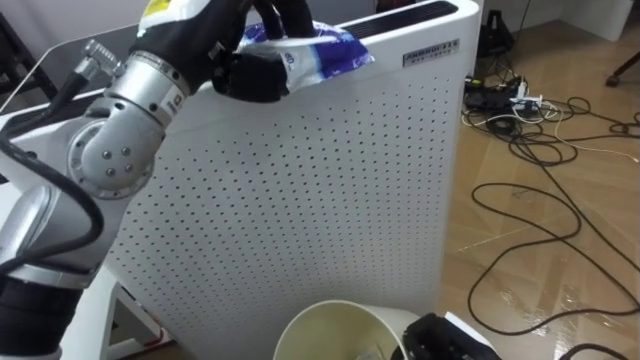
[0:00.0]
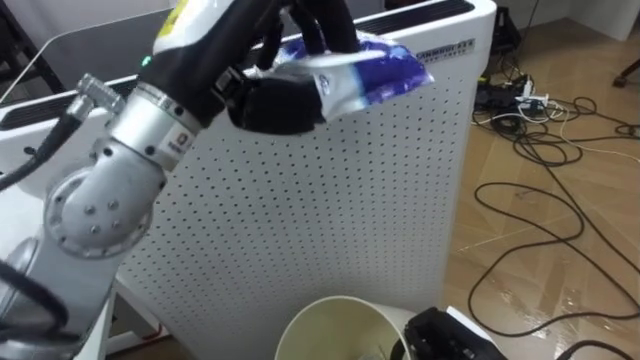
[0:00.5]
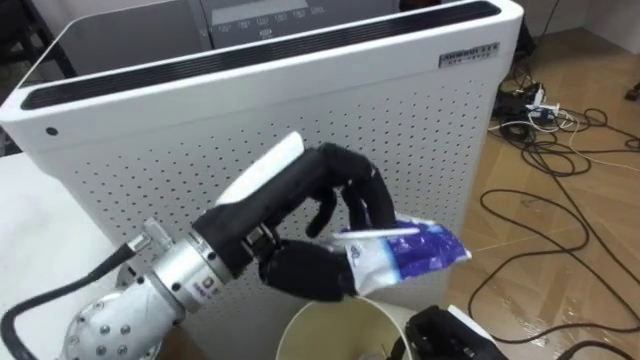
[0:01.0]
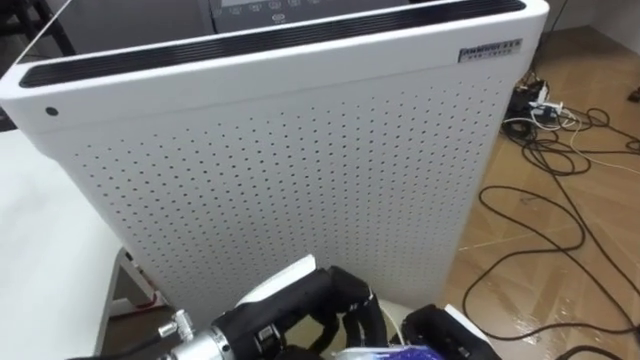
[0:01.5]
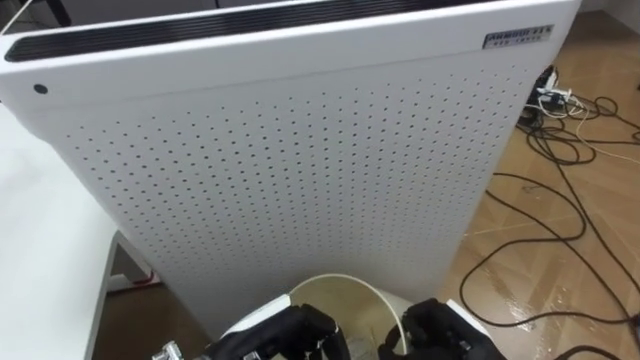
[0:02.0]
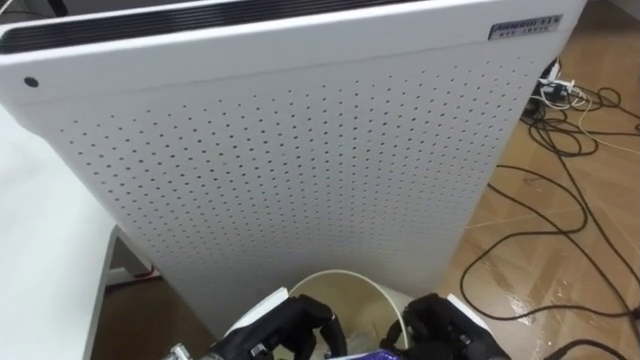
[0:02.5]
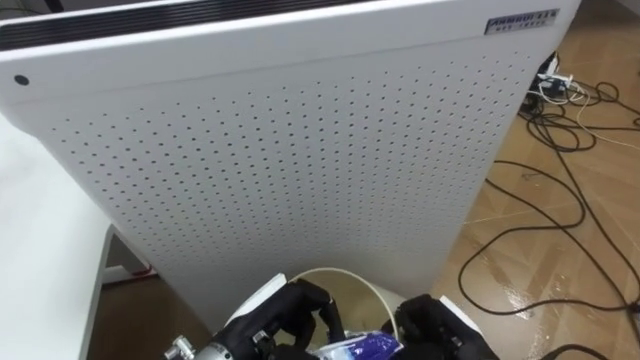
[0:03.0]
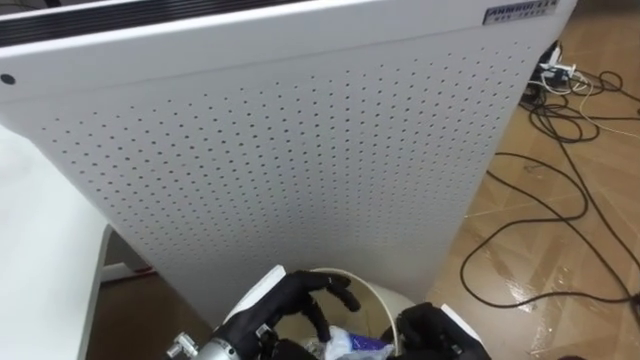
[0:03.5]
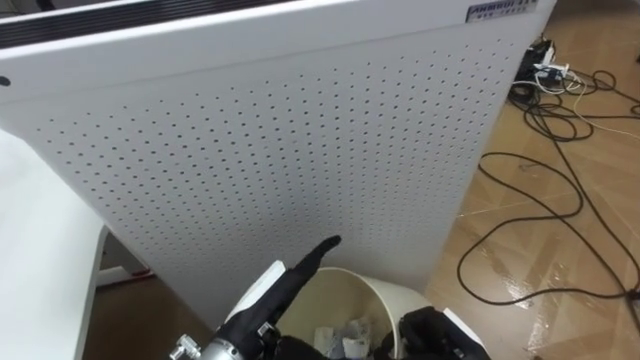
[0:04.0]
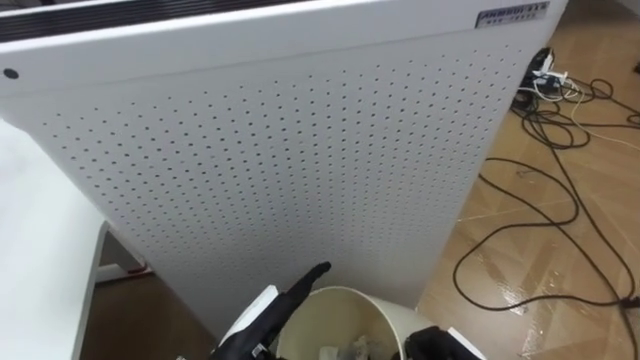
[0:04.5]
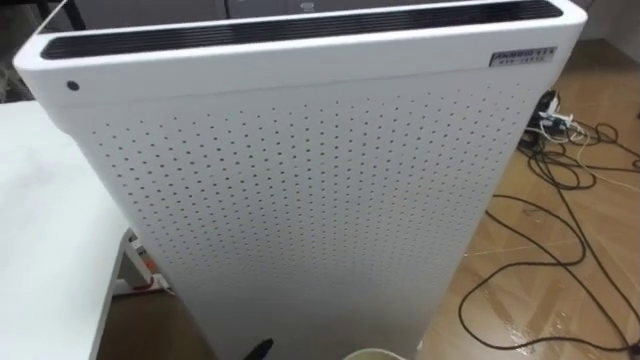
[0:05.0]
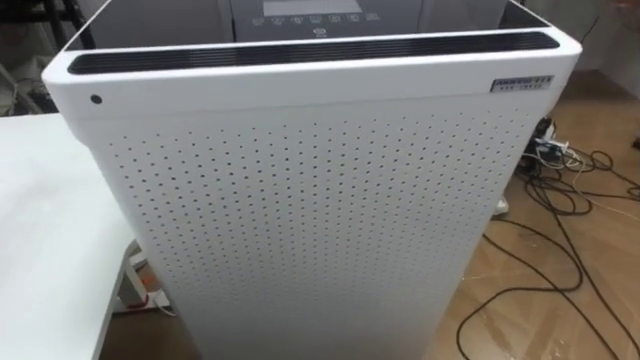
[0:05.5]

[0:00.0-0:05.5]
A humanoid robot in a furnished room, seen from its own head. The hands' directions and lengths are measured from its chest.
Task of the whole recording: Pick up the light blue package, the candy box, and the dark blue package separately, and put them into the trash can held in your right hand.
0:00.0 to 0:02.0: The left hand shifts roughly 30 cm downward and backward.
0:02.0 to 0:03.5: The left hand opens up.

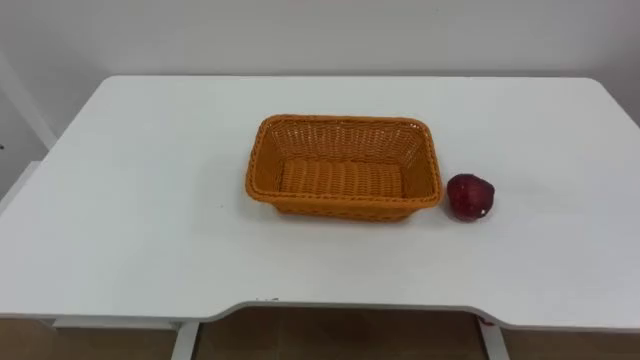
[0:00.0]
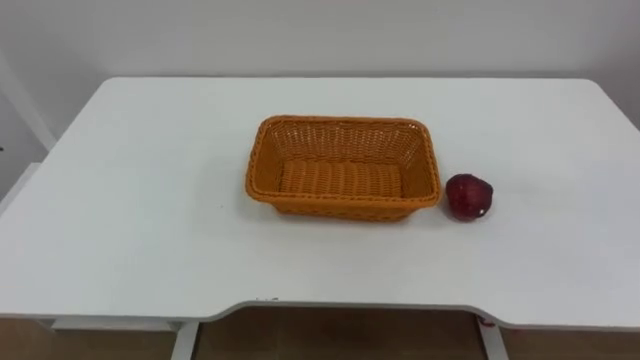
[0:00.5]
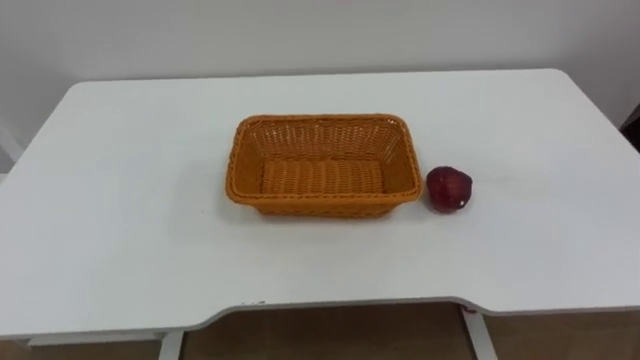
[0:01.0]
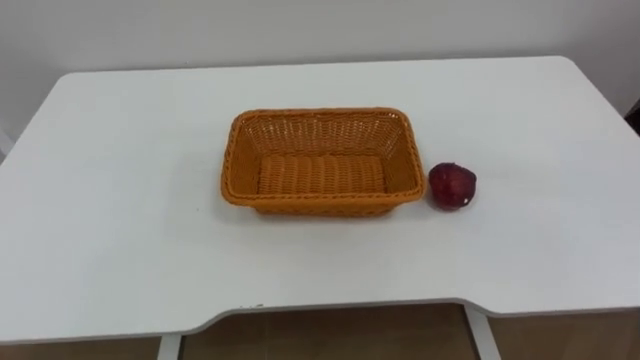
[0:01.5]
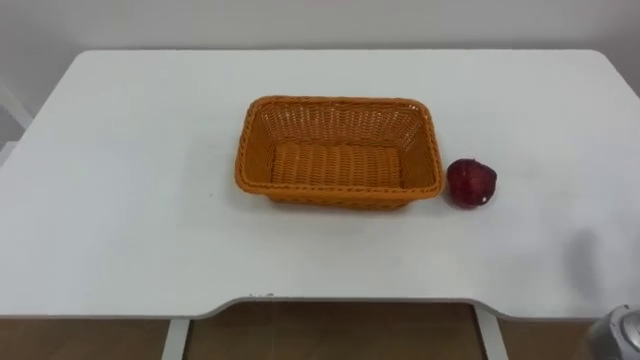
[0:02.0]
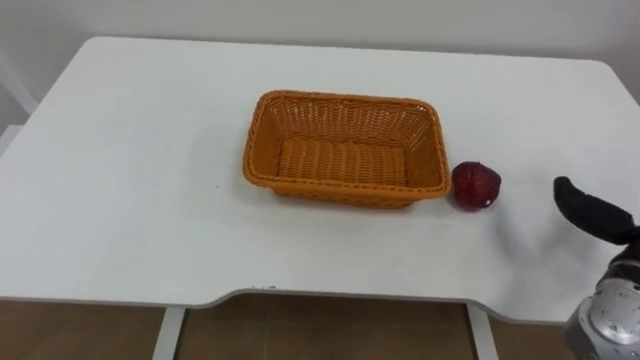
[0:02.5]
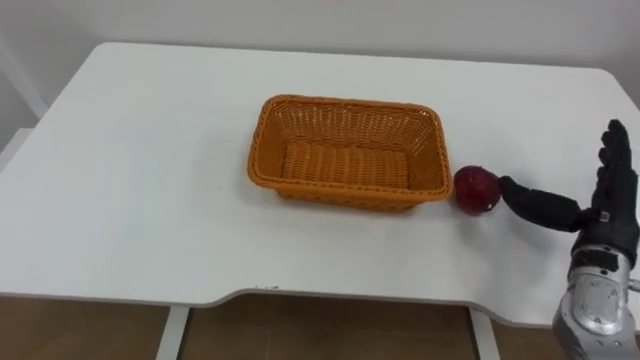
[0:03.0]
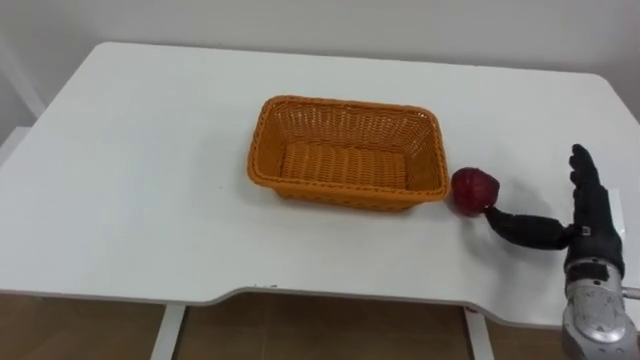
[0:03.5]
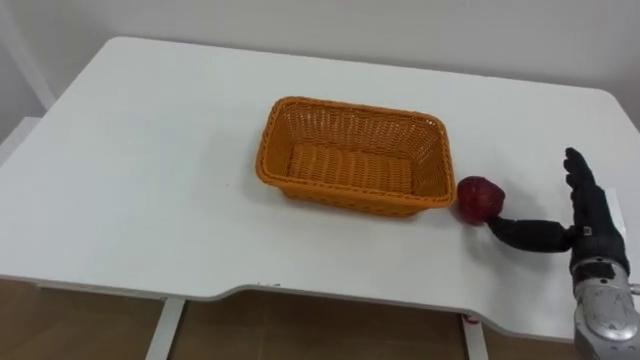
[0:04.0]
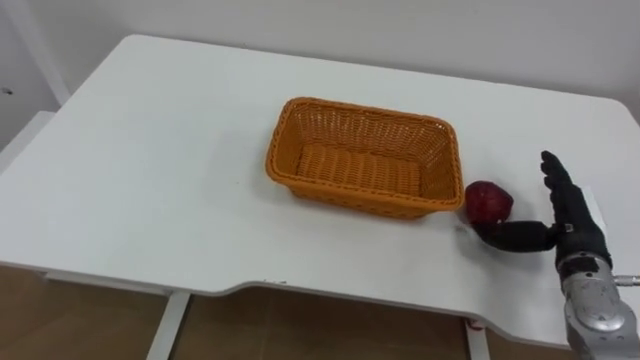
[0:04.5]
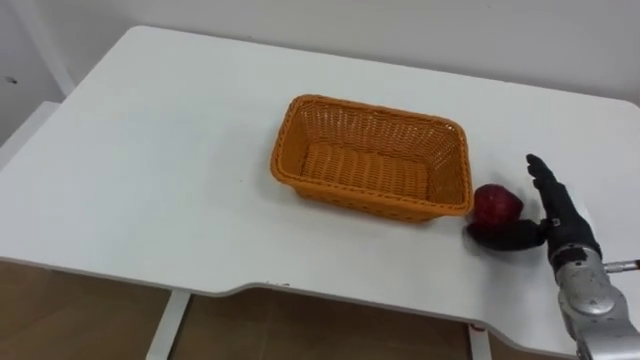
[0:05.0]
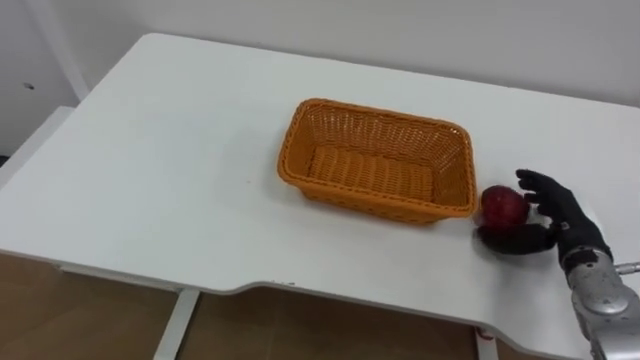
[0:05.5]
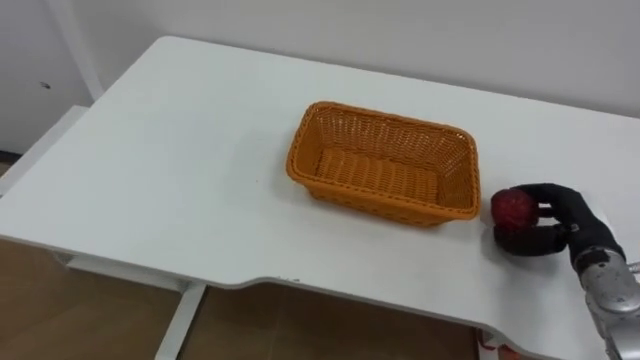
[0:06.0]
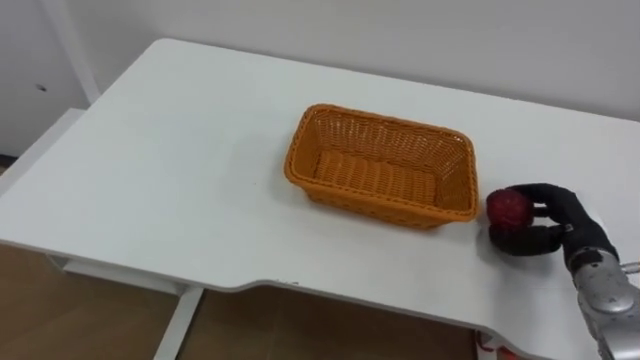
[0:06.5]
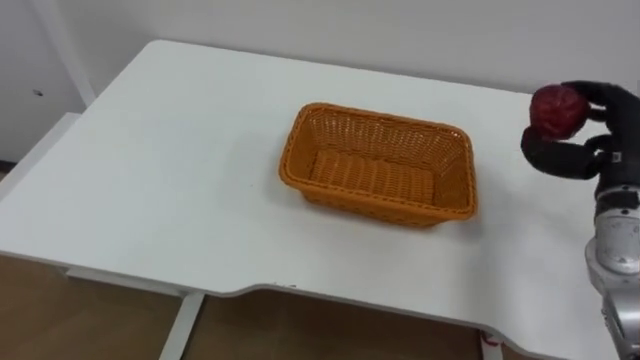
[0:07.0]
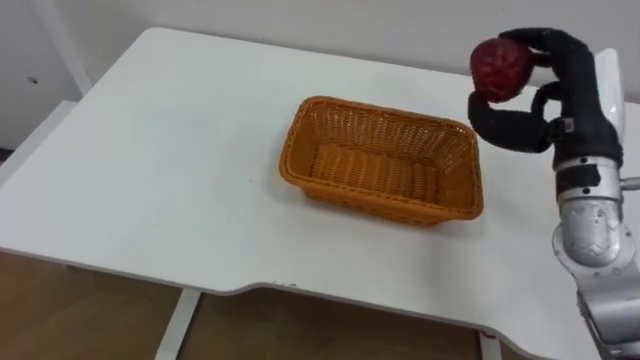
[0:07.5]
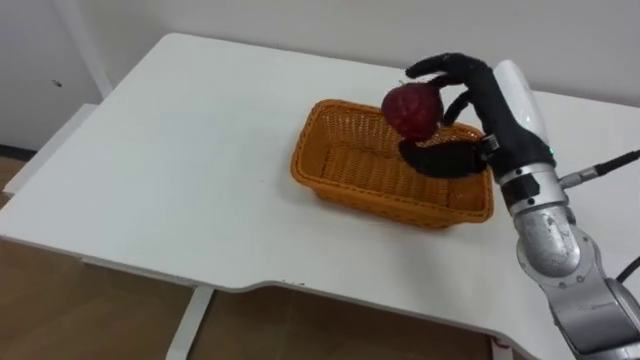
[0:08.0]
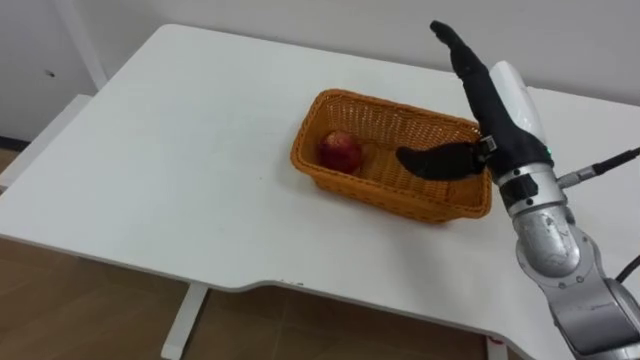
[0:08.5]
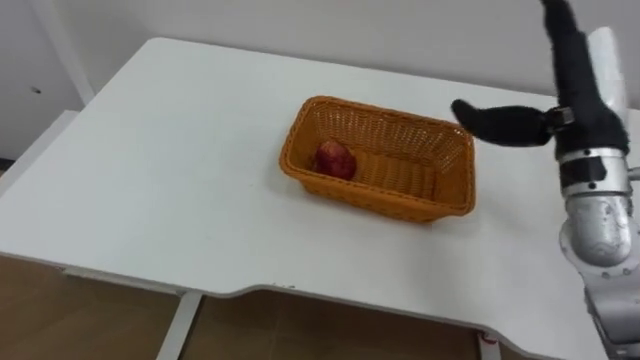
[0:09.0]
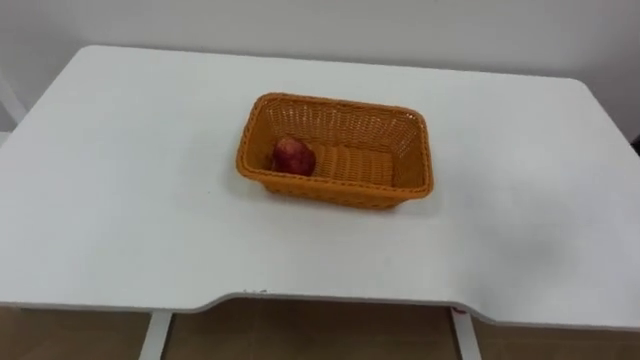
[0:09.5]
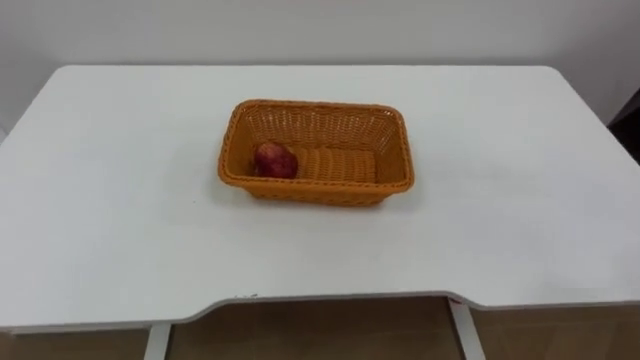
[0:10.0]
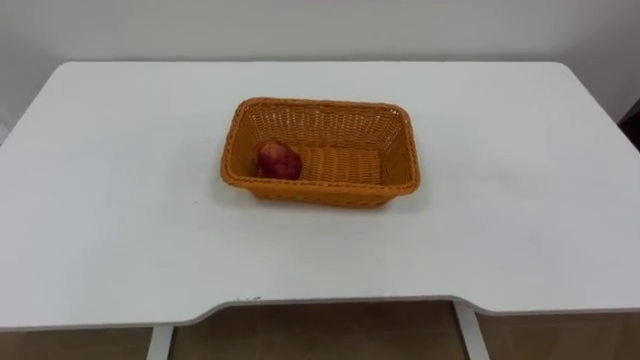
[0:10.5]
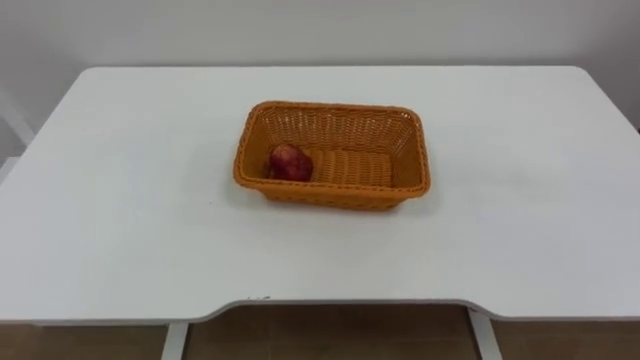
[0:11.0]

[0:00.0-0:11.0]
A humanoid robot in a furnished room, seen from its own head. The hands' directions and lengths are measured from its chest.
Task of the whole recording: Pick the apple and place it in the box.
0:05.5 to 0:07.5: The right hand goes about 20 cm upward.
0:07.5 to 0:09.0: The right hand reaches some 10 cm to the left, then returns, and opens.

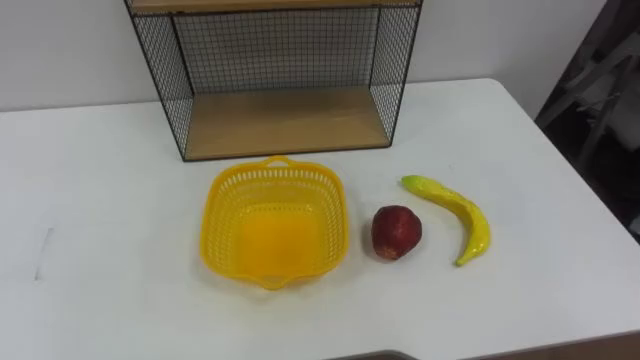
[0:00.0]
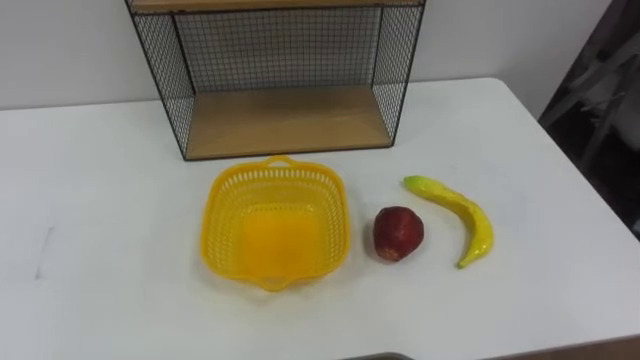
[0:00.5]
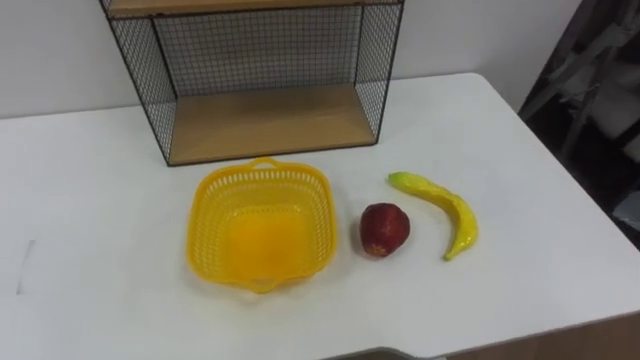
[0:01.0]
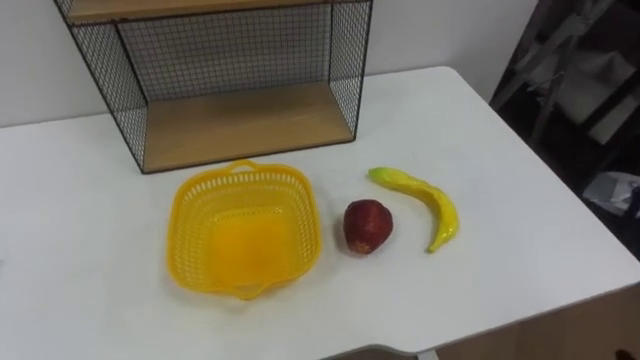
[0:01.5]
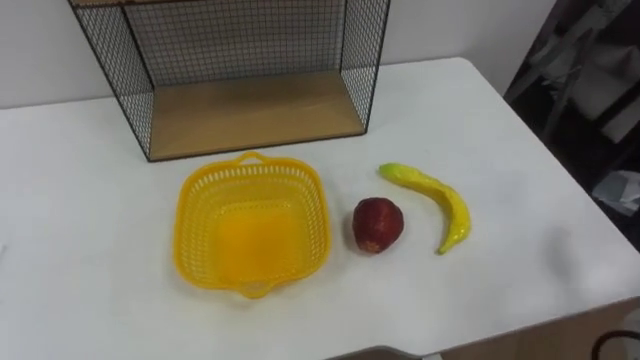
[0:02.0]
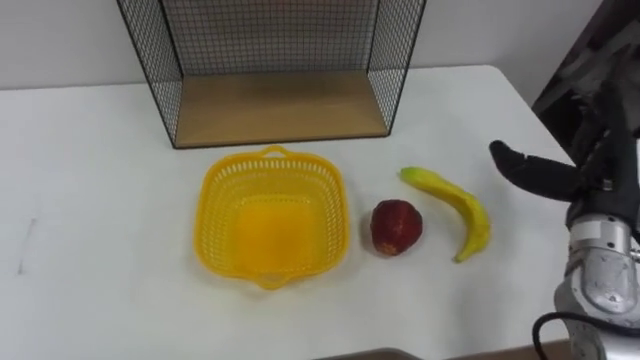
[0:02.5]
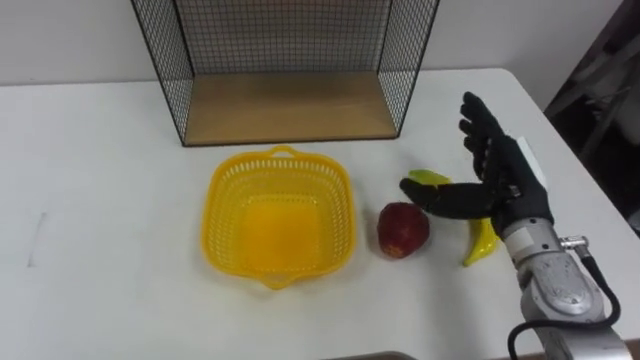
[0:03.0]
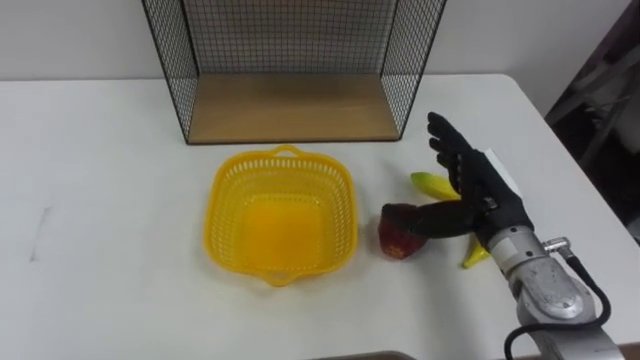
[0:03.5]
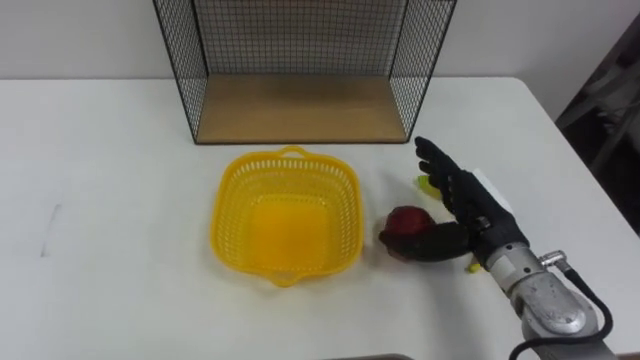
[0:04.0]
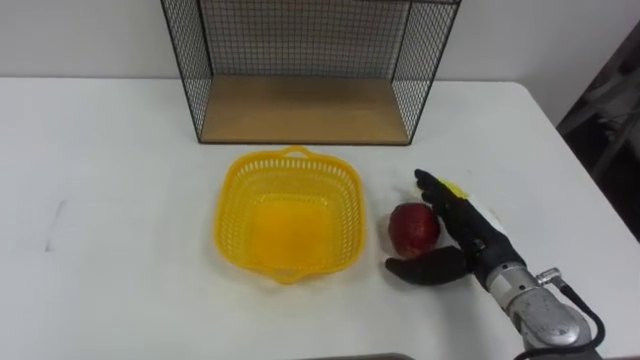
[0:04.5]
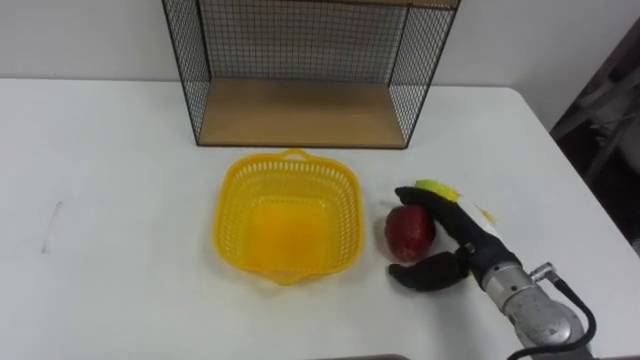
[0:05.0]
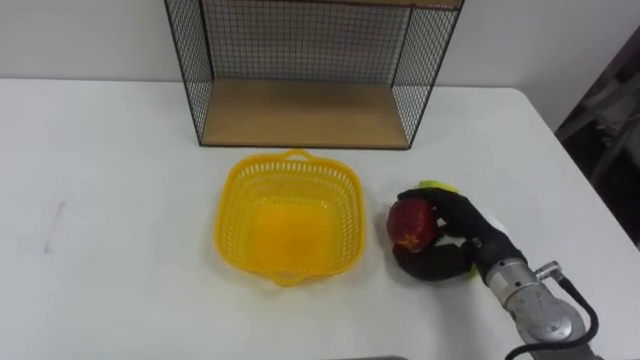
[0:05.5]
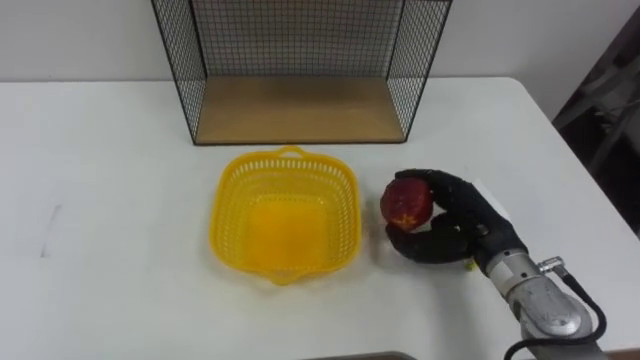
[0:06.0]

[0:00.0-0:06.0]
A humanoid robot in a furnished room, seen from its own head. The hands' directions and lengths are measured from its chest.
Task of the whole recording: Put the fruit on the table into the basket, then place the basket on the shelf.
0:04.0 to 0:06.0: The right hand closes its fingers.
